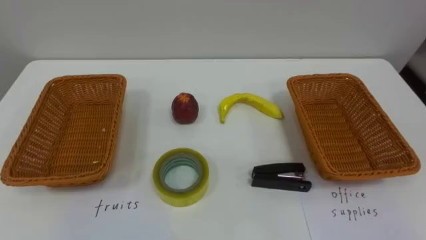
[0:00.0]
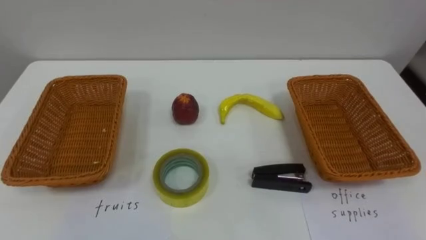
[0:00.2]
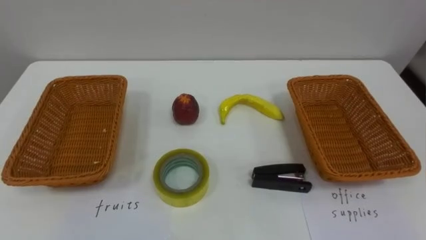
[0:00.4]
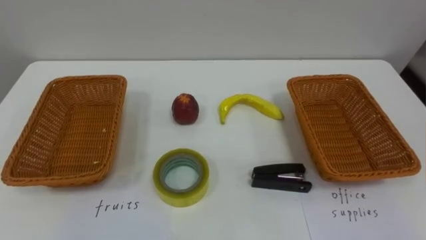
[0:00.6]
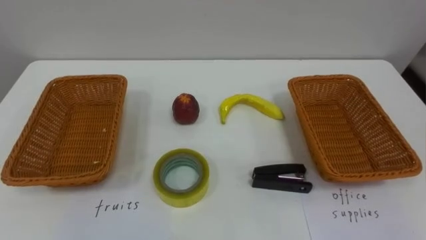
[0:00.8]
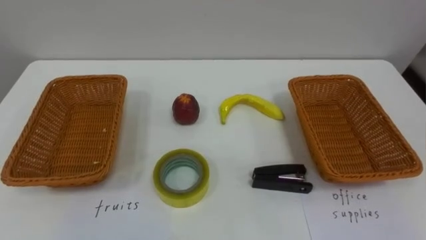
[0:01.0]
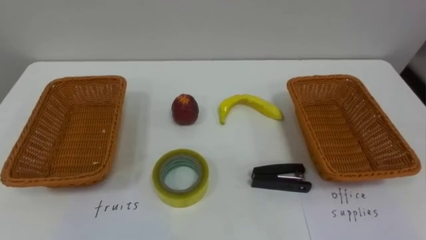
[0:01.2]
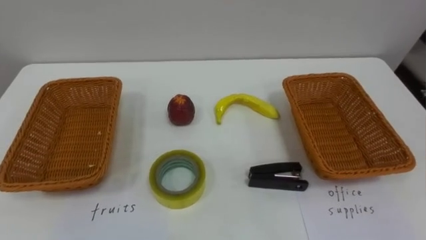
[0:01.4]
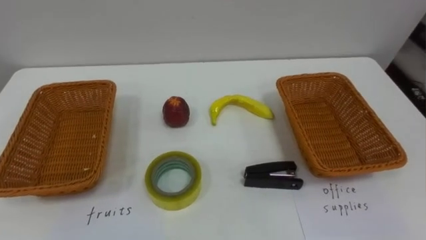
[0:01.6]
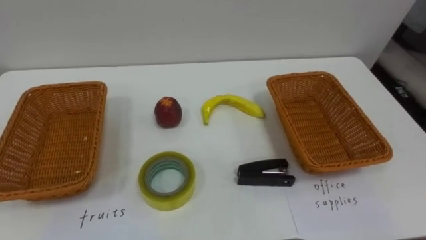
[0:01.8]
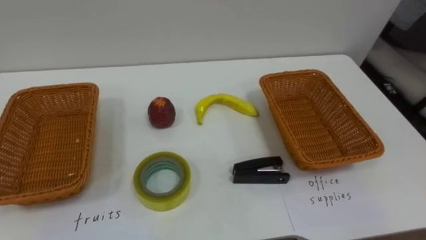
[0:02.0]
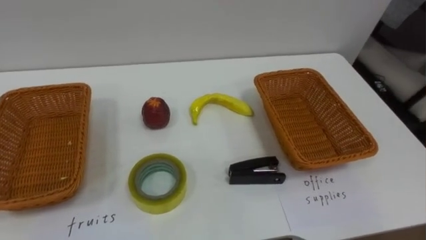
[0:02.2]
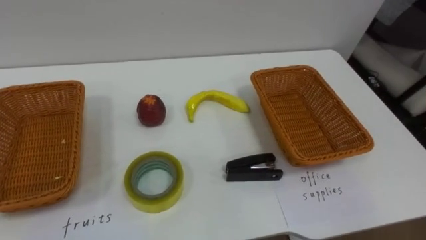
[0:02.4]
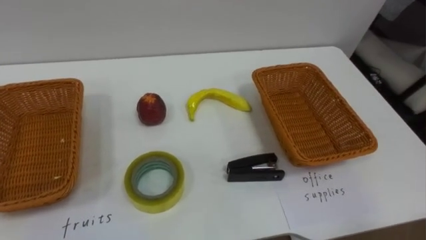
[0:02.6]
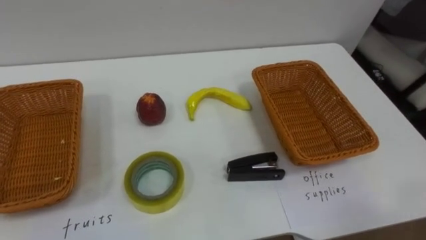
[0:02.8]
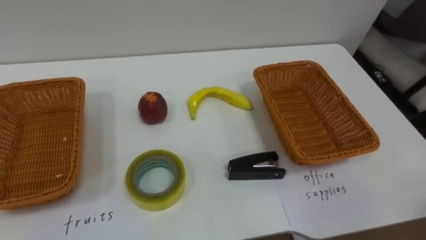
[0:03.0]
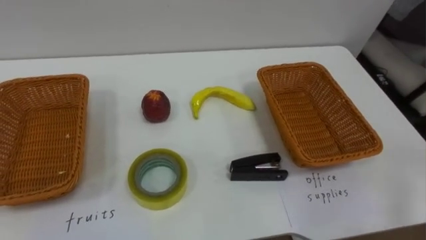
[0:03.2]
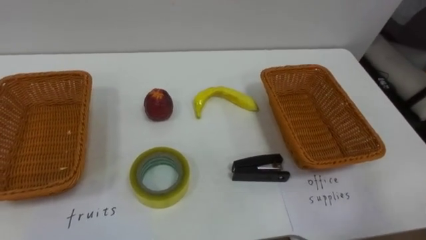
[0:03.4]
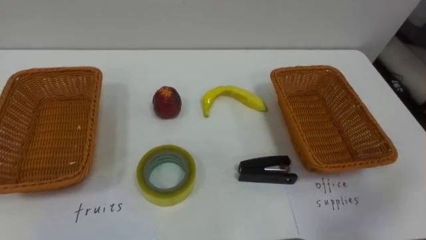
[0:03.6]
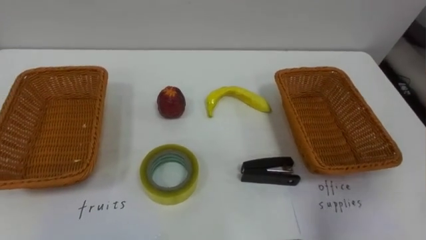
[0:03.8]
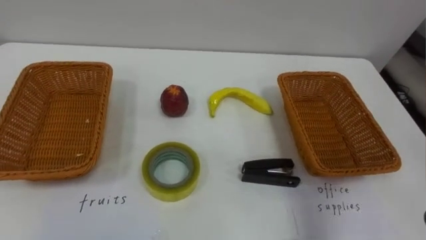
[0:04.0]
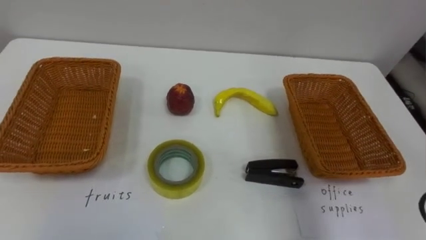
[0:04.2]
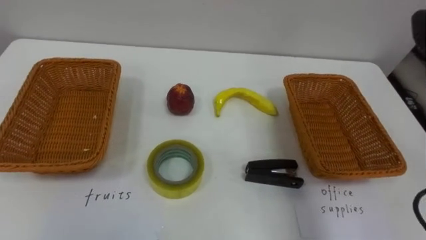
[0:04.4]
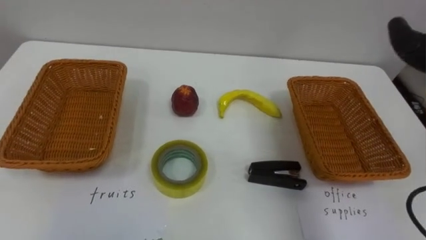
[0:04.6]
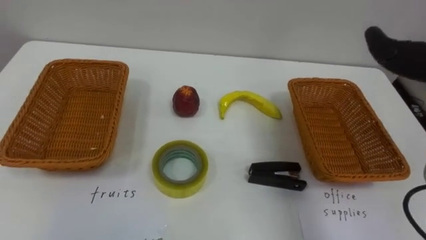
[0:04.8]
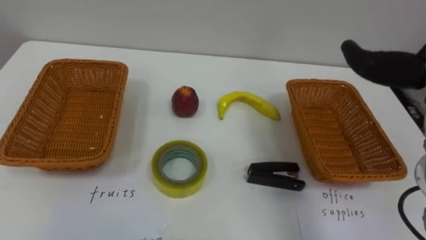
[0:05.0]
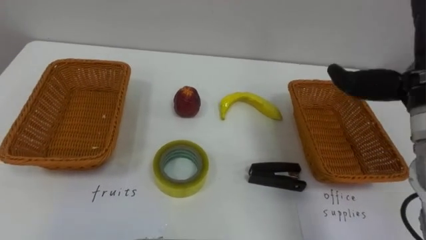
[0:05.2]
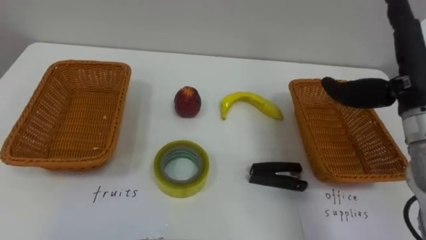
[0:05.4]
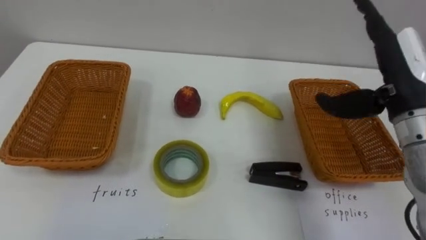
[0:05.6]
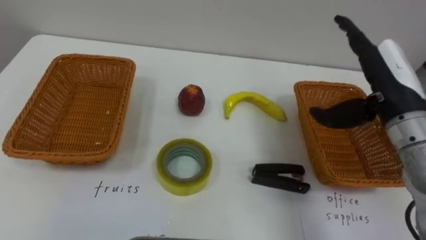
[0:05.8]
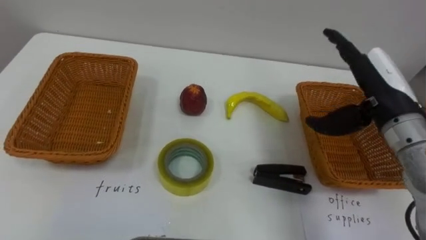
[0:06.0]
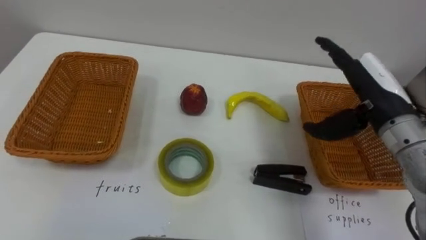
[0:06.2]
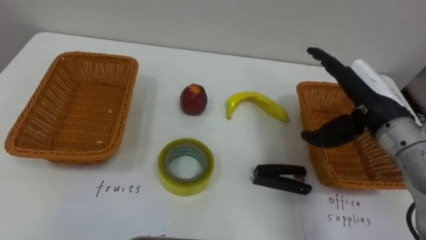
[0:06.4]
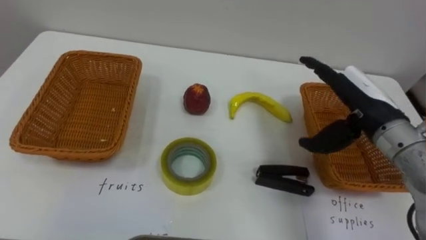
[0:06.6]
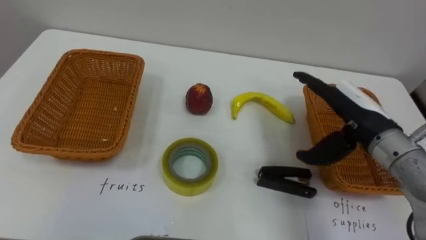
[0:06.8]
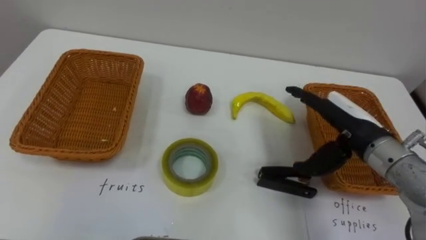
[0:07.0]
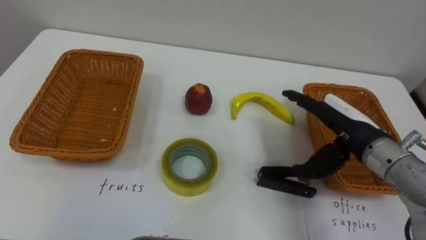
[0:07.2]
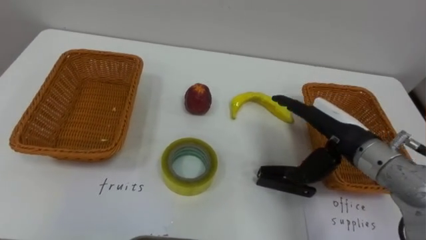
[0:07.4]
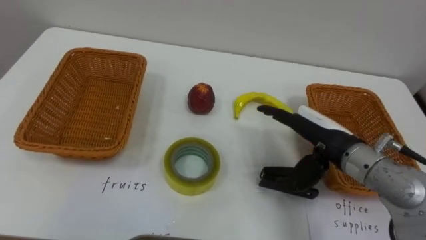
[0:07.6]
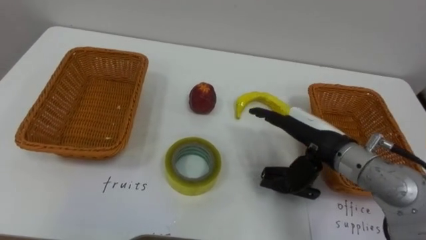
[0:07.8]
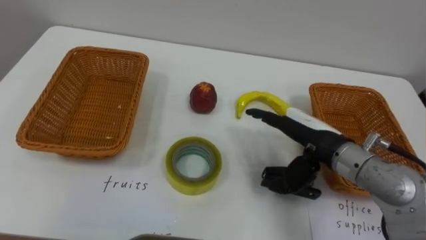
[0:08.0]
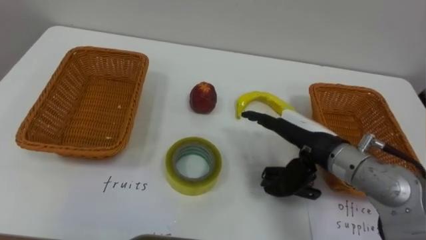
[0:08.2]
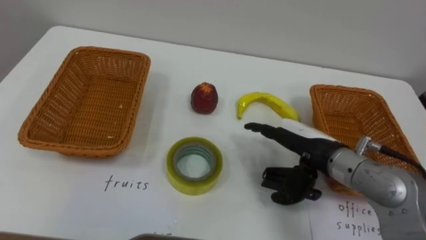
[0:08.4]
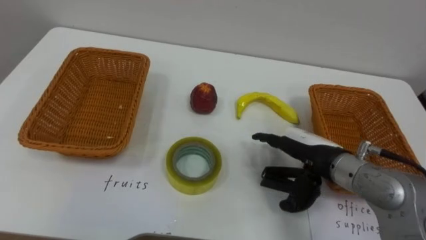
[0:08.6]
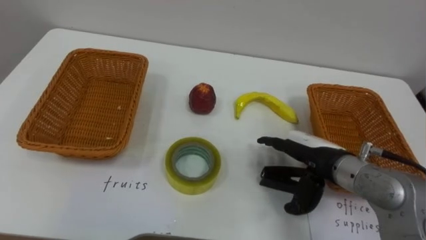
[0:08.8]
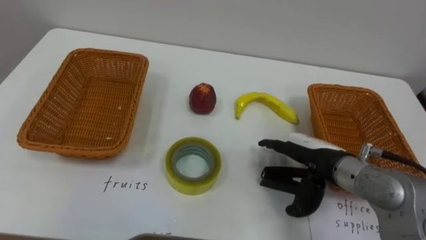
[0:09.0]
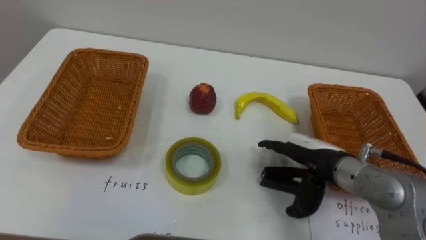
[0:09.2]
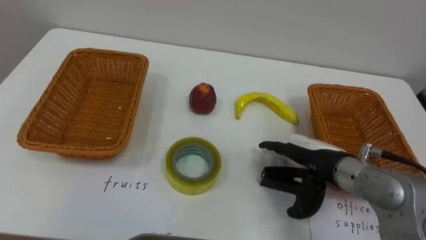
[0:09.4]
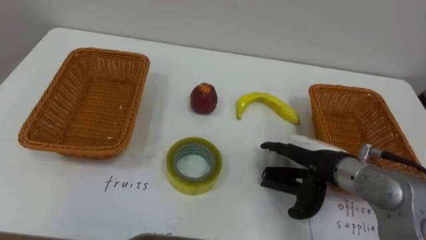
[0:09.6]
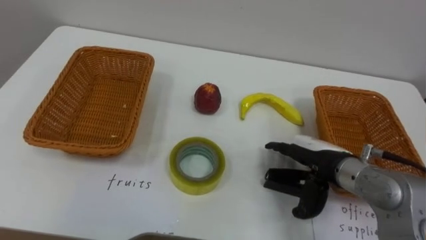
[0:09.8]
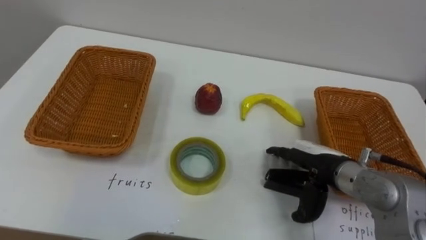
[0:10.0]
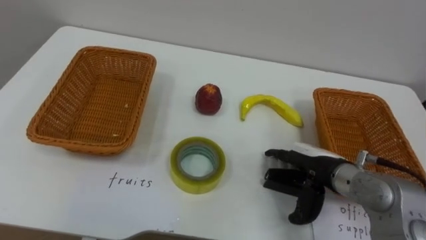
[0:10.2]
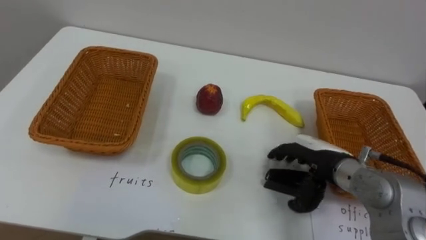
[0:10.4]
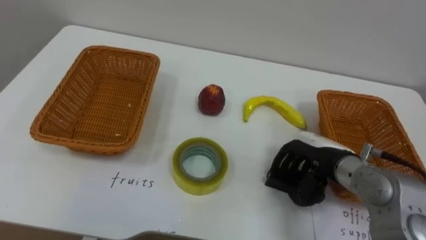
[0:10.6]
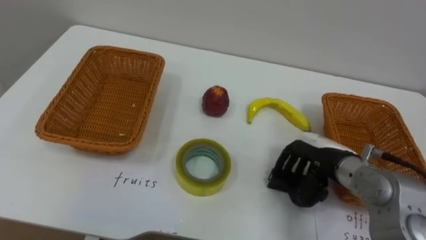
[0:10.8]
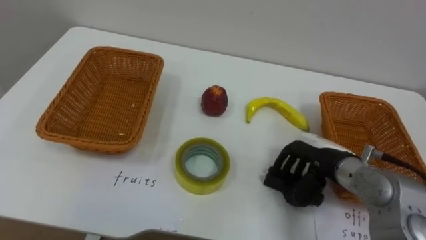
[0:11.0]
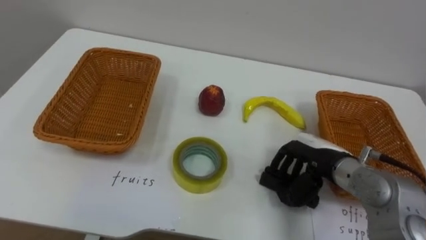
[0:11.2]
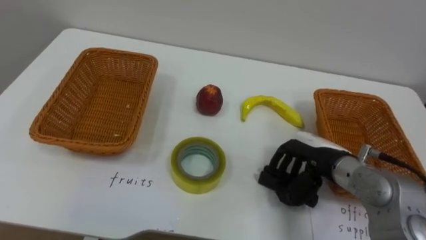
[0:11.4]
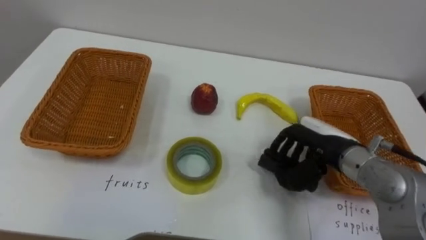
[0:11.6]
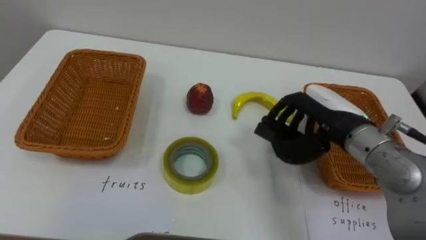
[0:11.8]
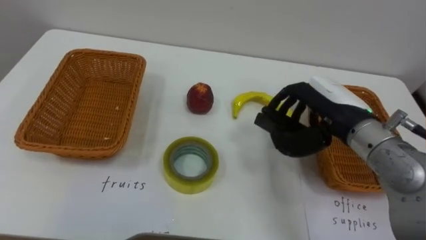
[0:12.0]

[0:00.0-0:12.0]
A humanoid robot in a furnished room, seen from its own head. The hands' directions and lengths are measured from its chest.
Task of the whole recording: Separate the items on the table and place them into the two baskets.
0:06.0 to 0:07.6: The right hand shifts about 10 cm downward and to the left.
0:10.4 to 0:12.0: The right hand shifts about 10 cm upward, and closes its fingers.

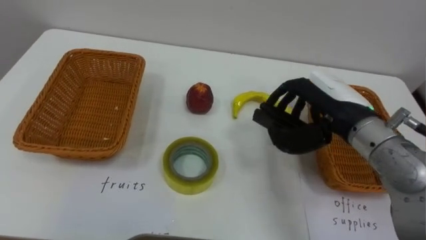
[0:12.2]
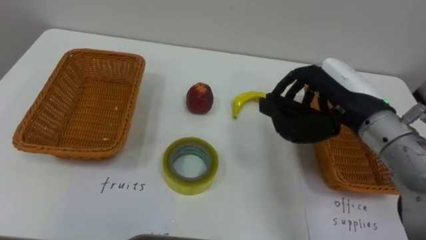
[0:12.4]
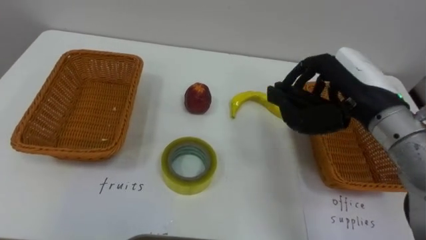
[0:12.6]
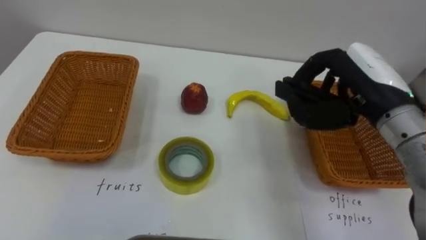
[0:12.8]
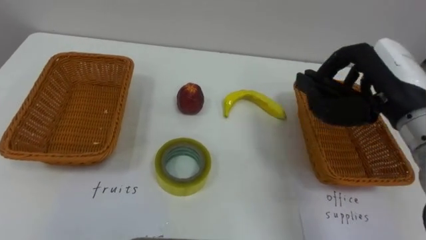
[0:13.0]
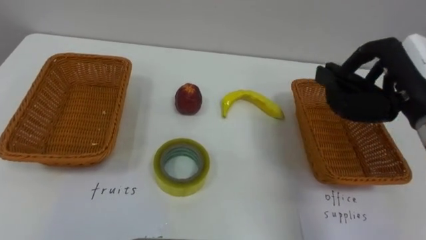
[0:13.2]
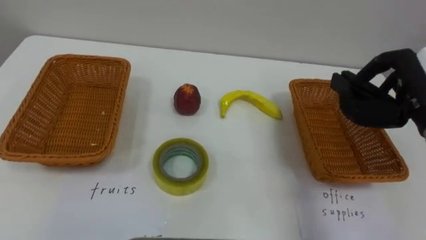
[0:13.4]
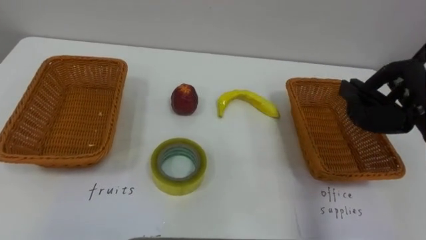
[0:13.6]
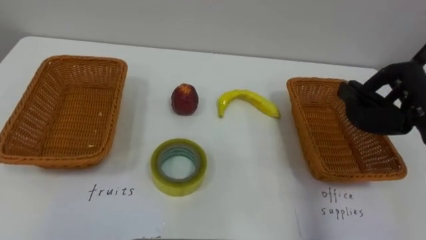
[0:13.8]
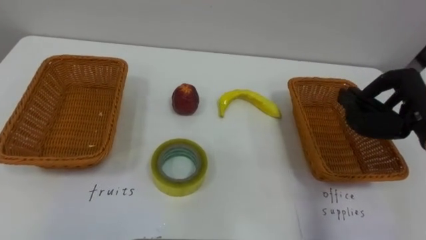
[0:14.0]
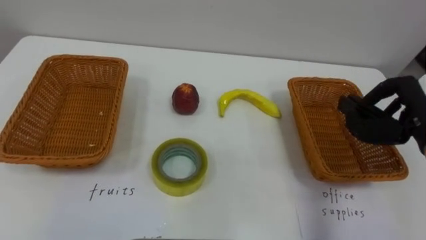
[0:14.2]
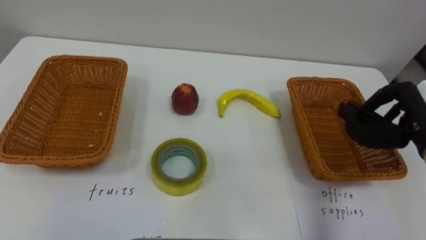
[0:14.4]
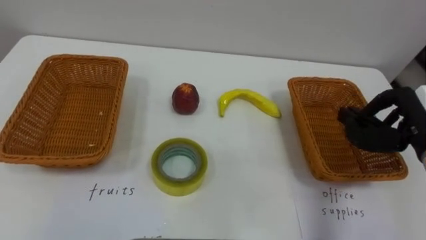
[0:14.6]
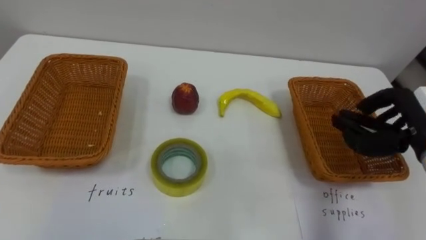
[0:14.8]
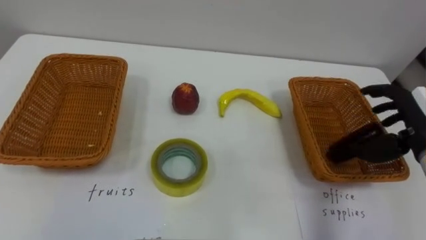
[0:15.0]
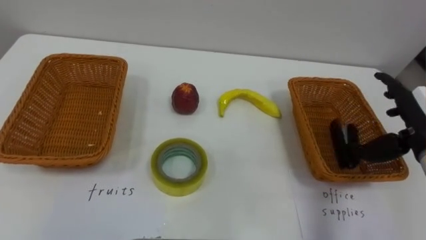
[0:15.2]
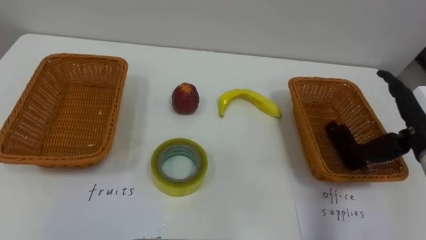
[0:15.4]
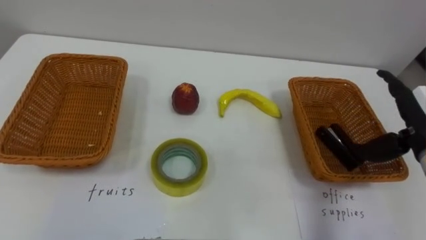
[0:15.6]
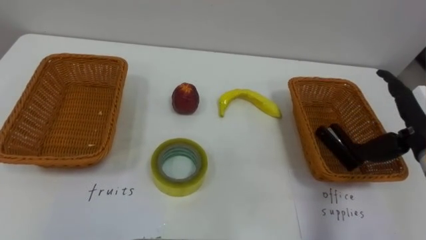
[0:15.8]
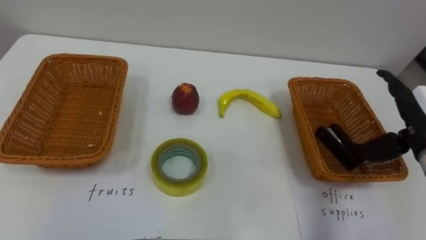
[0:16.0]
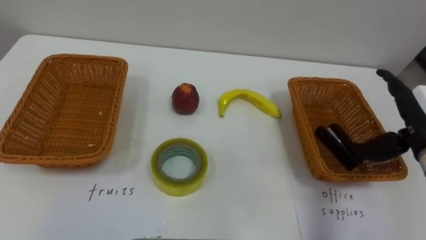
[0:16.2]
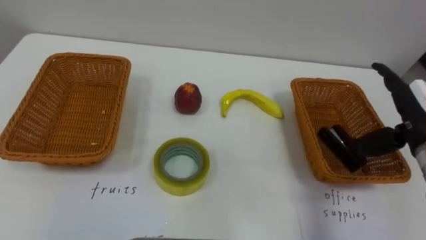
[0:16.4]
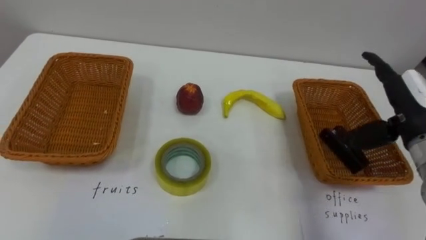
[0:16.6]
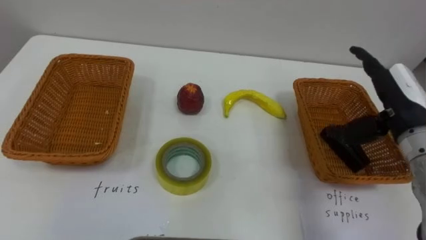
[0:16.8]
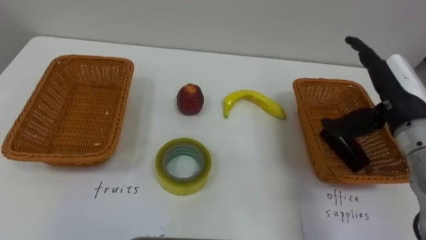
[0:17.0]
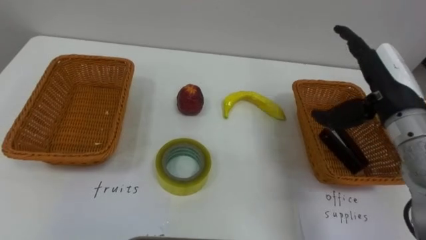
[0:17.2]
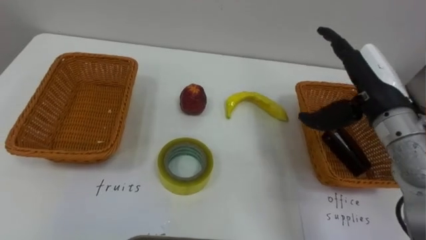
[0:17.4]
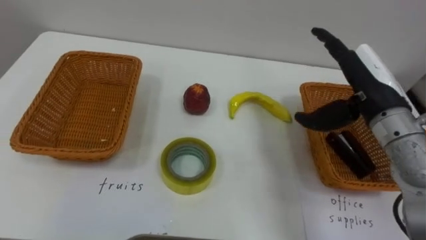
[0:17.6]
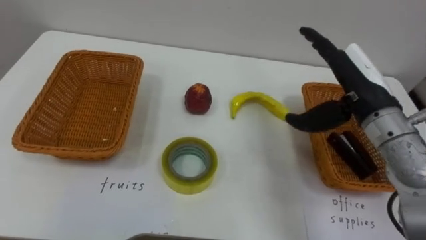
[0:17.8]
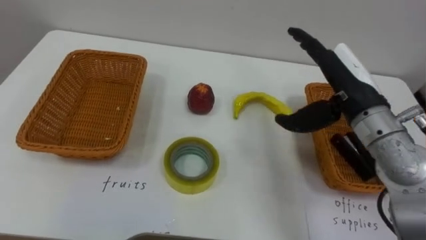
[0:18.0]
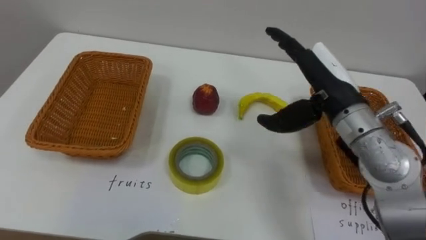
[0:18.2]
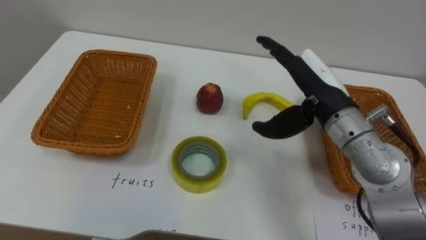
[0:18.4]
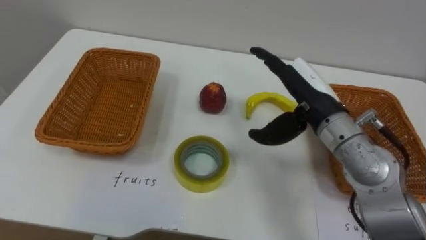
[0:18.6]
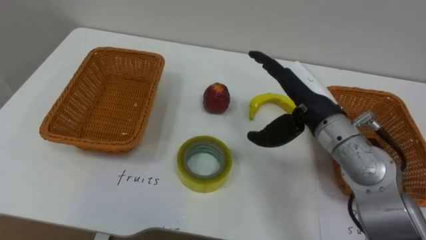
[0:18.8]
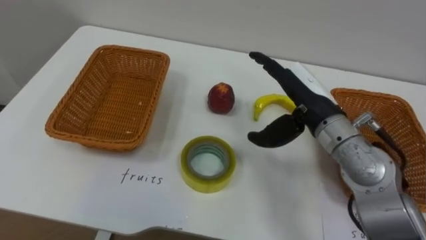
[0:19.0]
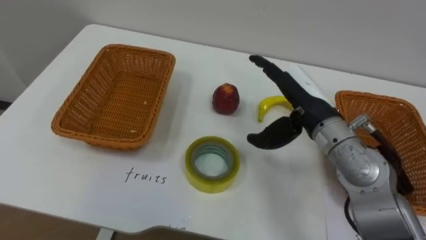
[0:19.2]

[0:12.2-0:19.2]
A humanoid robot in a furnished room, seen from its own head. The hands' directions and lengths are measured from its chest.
Task of the whole recording: Separate the items on the table and place them into the two baskets.
0:16.4 to 0:17.8: The right hand moves to the left, some 10 cm.
0:17.8 to 0:19.2: The right hand shifts roughly 5 cm to the left.
